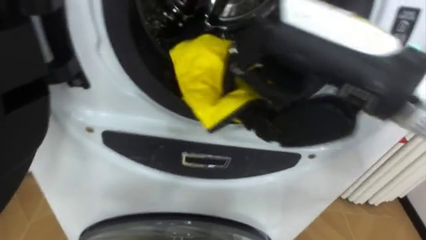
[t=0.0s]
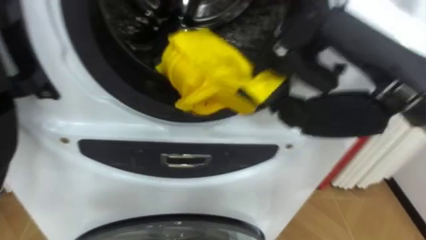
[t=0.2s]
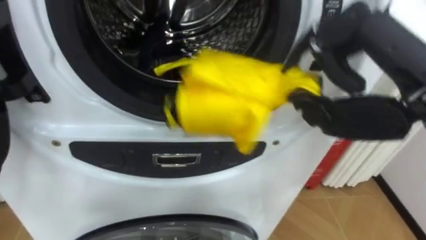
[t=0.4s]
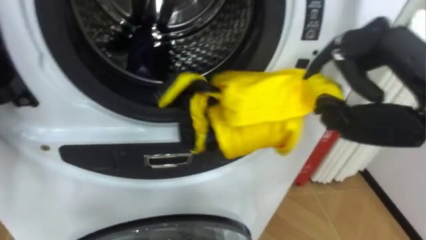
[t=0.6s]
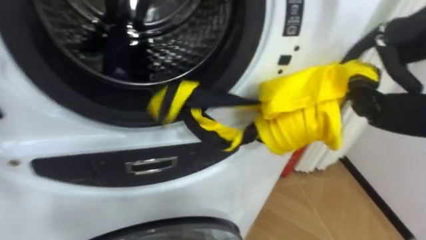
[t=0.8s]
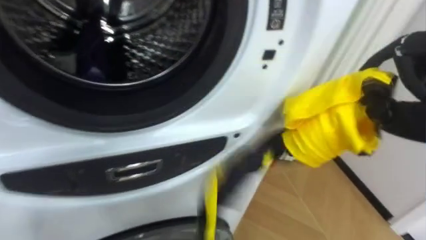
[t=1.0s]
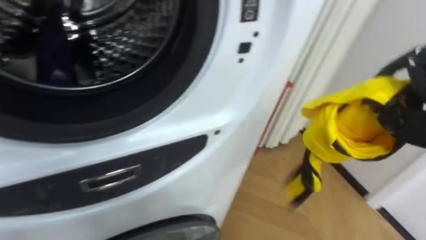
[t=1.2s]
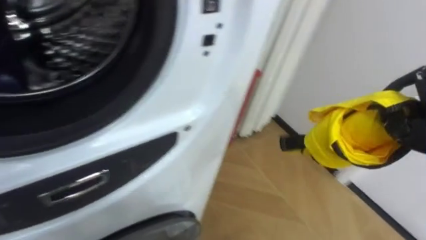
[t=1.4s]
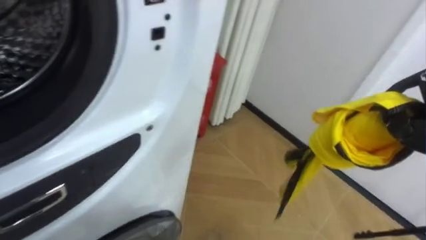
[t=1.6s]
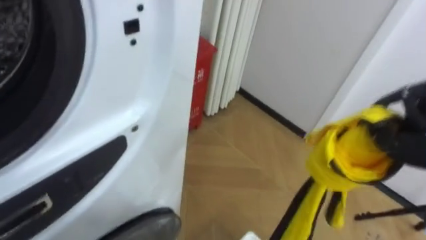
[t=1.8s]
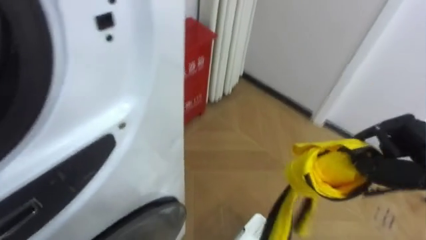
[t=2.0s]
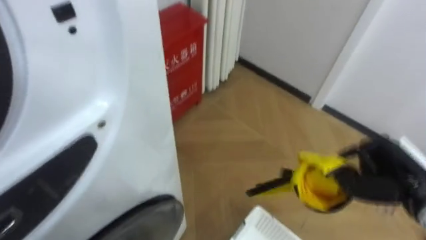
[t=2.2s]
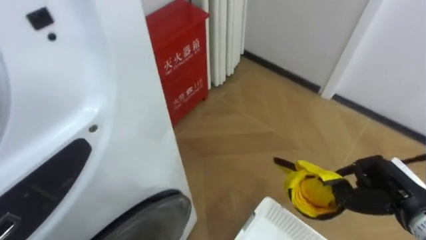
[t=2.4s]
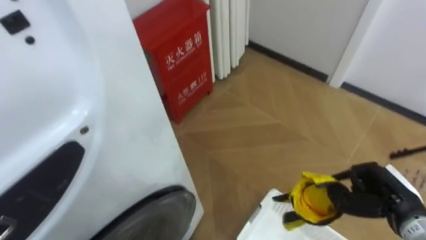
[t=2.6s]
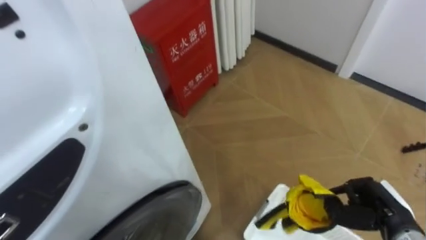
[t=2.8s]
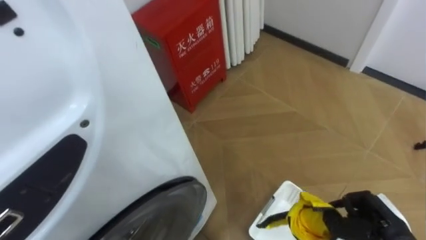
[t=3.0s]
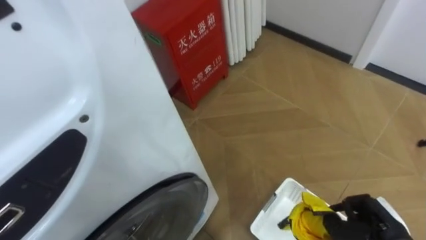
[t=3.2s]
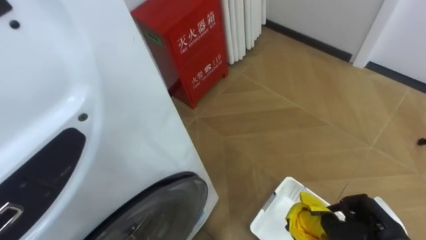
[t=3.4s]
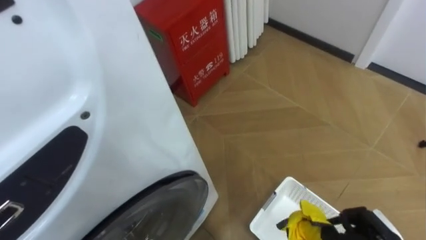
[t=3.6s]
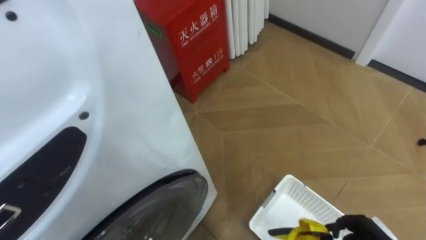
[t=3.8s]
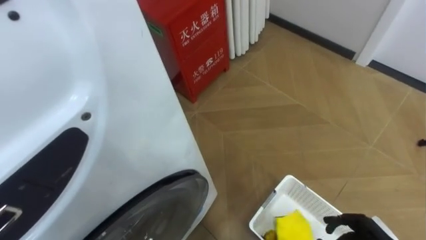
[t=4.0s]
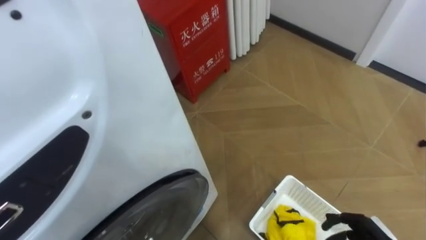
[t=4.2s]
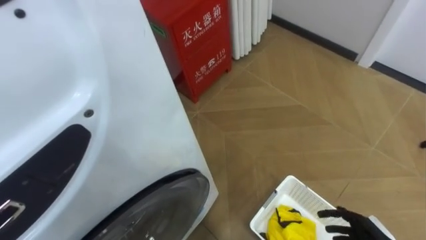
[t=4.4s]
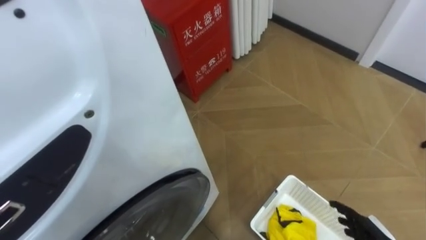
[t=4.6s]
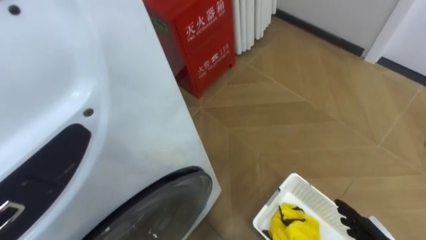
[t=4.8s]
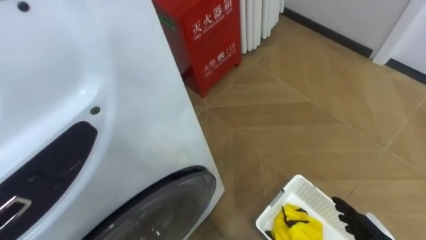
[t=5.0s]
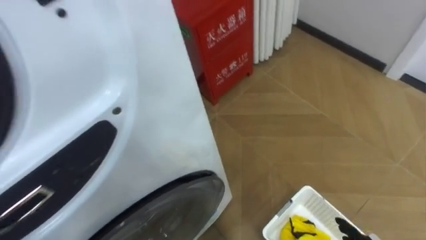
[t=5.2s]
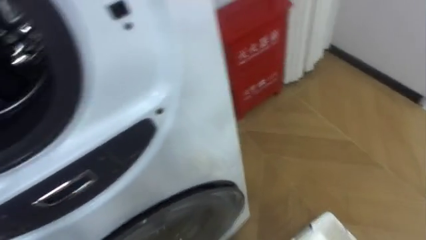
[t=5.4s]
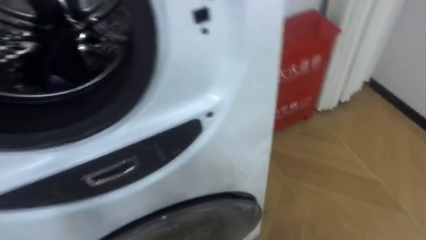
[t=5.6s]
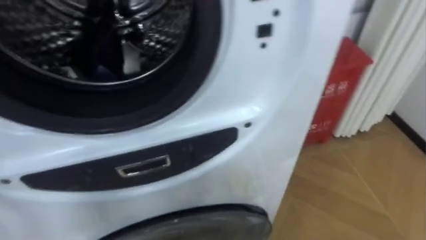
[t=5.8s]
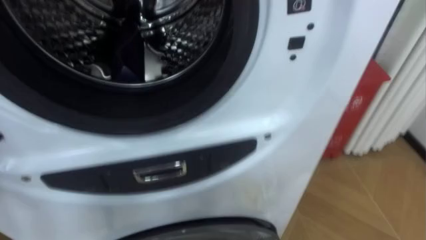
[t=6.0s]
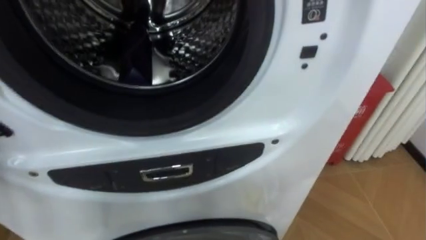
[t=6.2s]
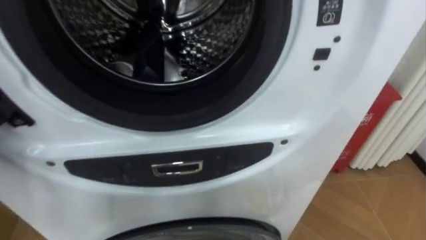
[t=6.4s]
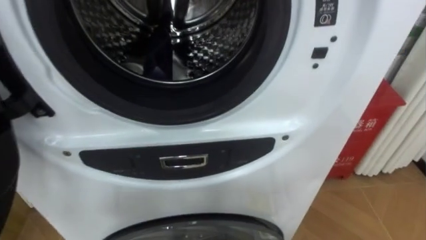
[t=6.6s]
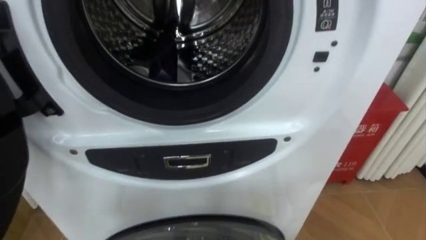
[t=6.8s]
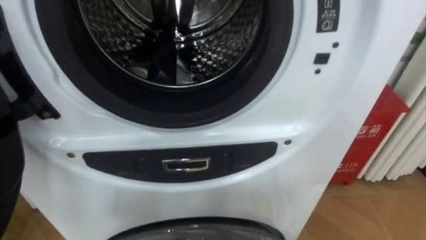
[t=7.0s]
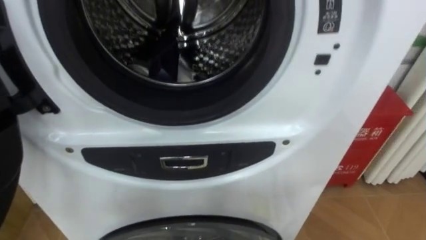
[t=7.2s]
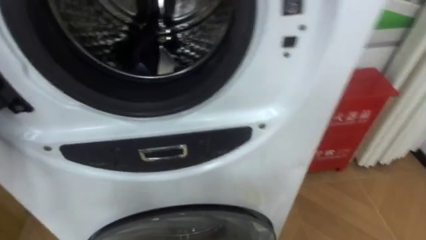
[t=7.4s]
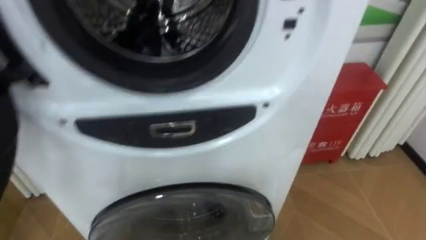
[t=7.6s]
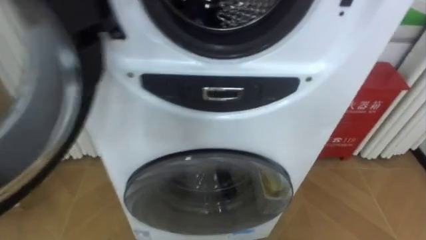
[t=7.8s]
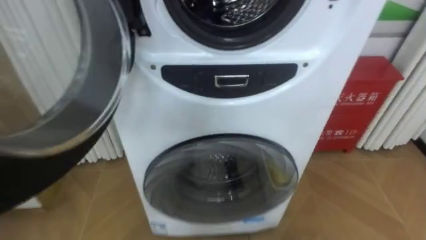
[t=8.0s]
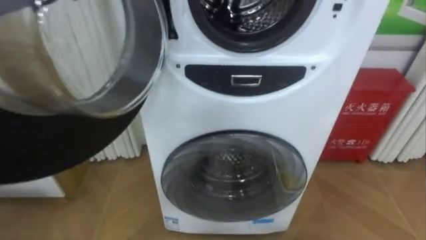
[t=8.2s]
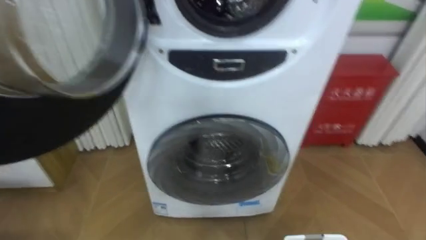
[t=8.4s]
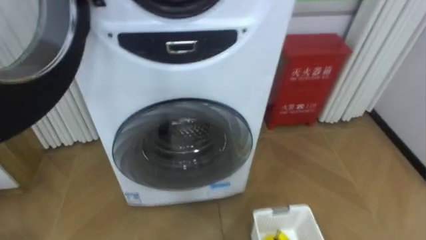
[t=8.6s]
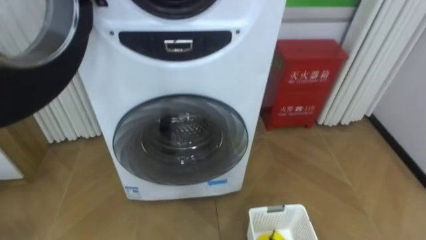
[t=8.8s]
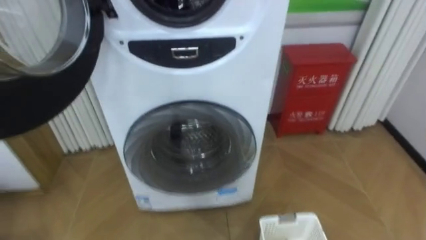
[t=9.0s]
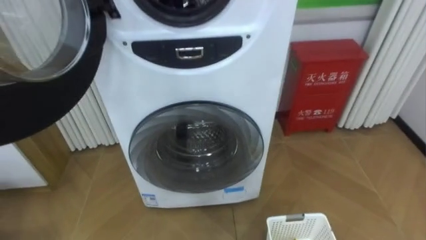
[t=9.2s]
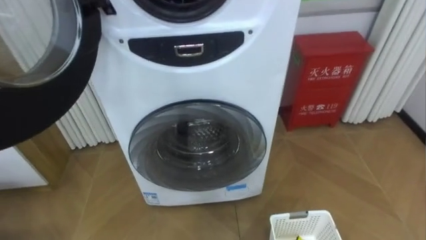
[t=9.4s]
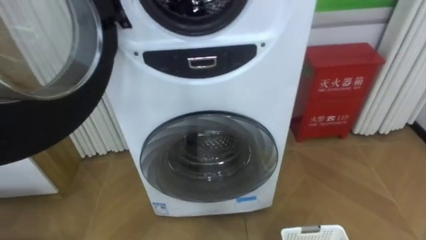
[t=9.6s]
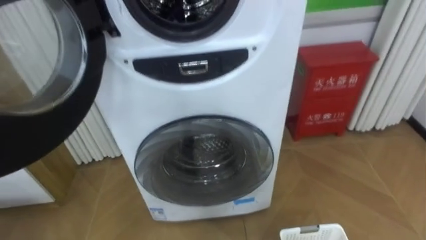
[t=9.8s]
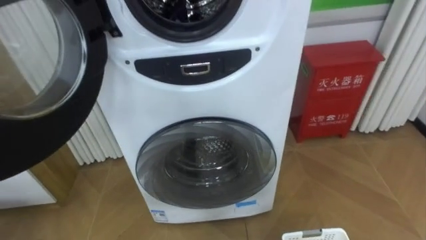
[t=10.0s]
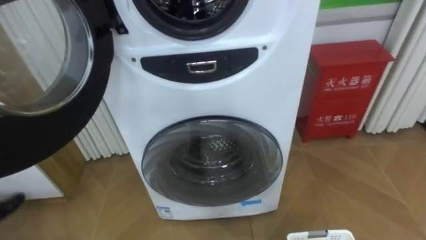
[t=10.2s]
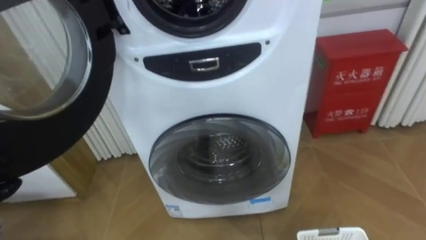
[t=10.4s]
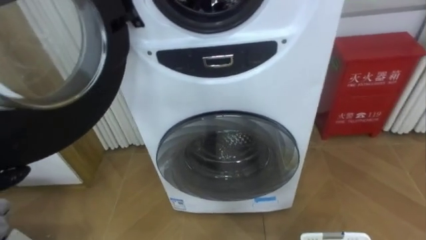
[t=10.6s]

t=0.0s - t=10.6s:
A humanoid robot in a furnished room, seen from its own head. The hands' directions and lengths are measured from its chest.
Task of the whole recording: Open the washing machine door, take out the yellow clothes, place them in the box on the right, and close the washing machine door.
t=4.6s - t=6.0s: The robot rotates about 25 degrees to its left.

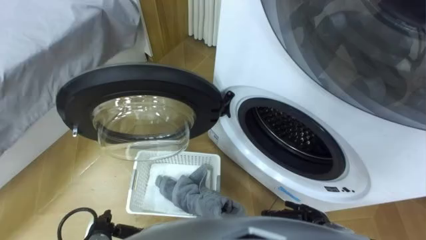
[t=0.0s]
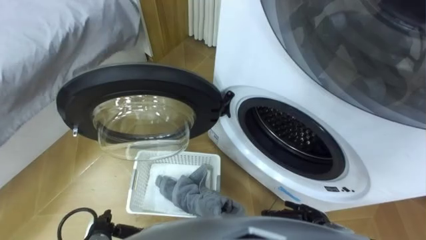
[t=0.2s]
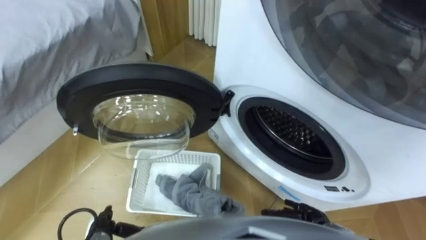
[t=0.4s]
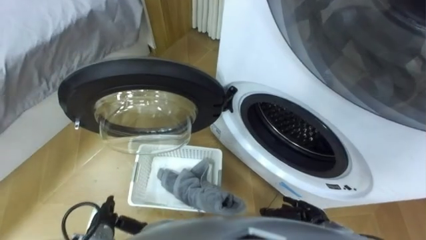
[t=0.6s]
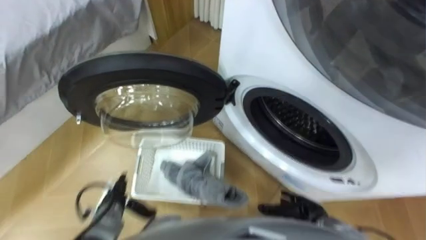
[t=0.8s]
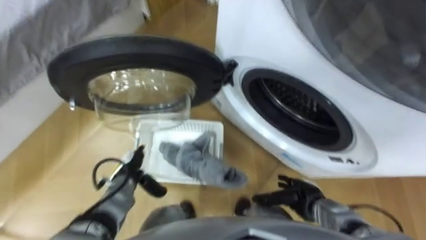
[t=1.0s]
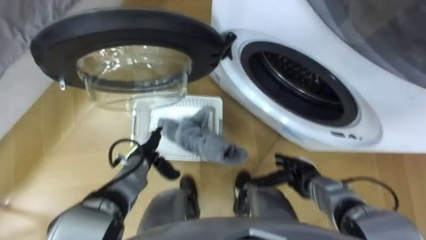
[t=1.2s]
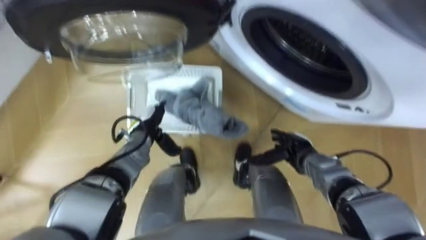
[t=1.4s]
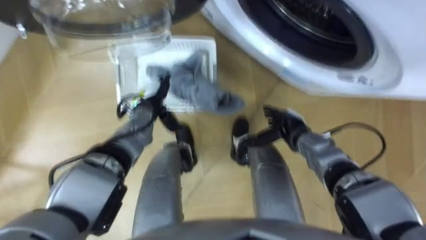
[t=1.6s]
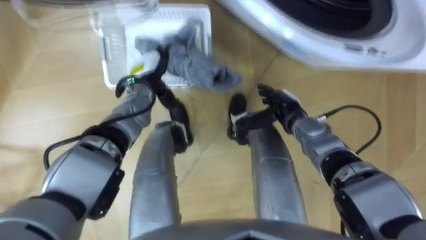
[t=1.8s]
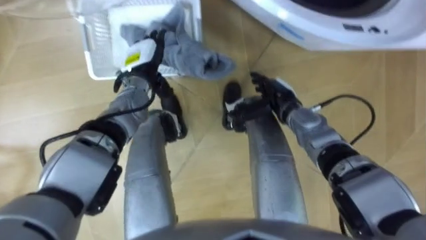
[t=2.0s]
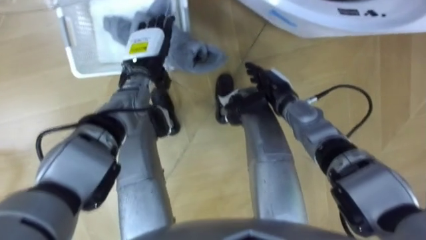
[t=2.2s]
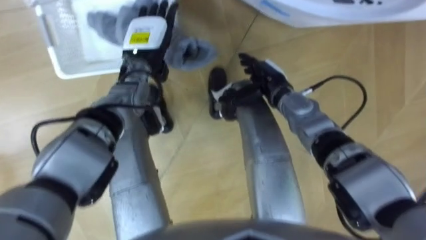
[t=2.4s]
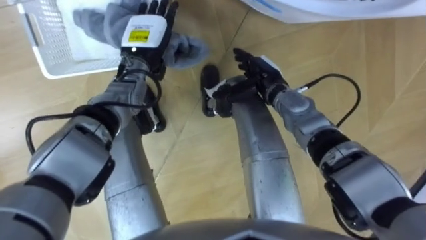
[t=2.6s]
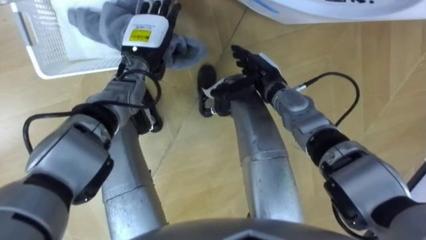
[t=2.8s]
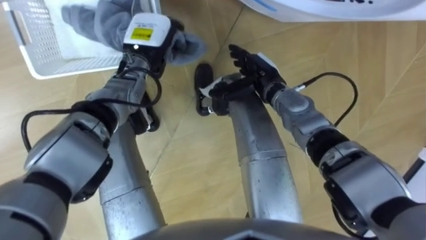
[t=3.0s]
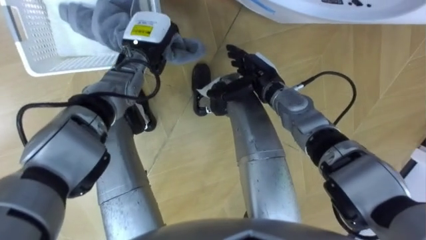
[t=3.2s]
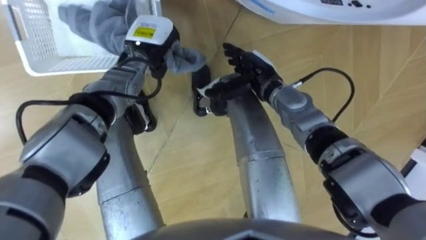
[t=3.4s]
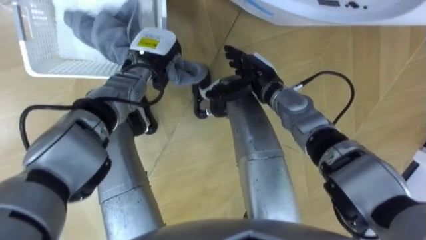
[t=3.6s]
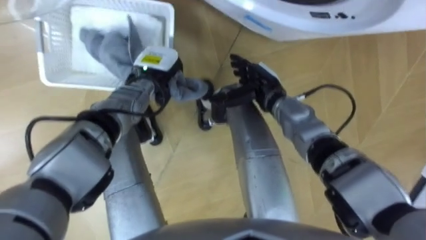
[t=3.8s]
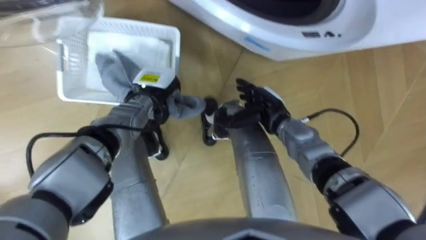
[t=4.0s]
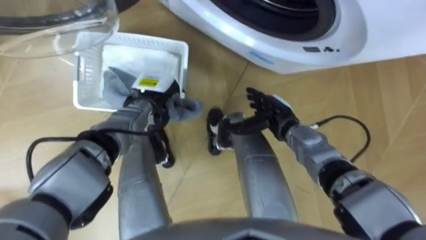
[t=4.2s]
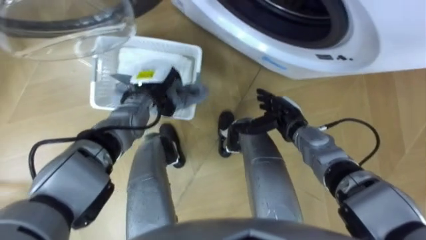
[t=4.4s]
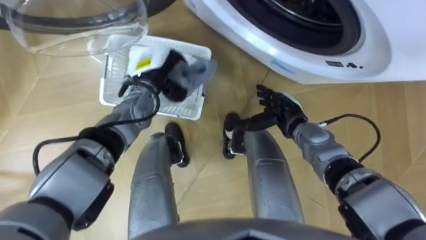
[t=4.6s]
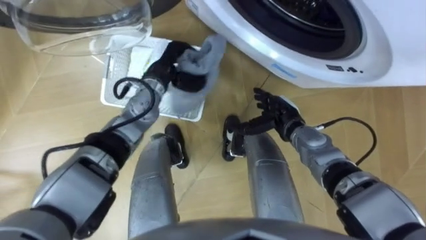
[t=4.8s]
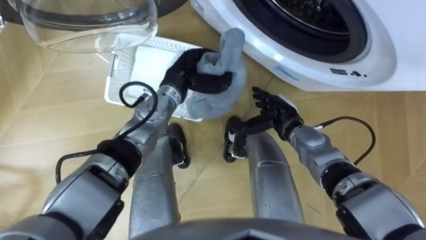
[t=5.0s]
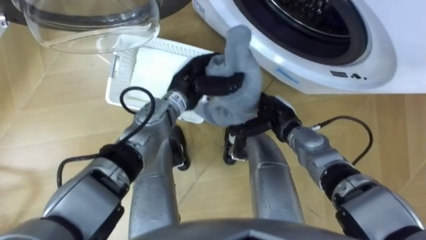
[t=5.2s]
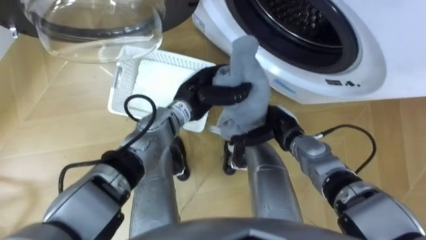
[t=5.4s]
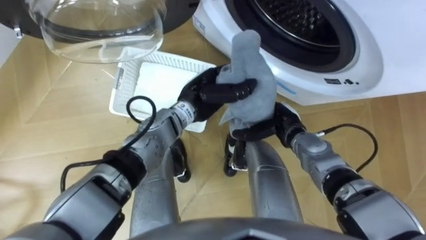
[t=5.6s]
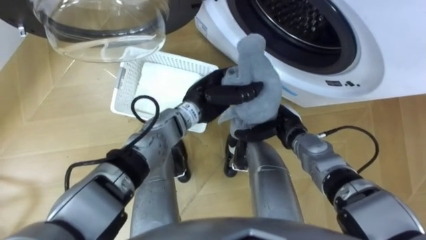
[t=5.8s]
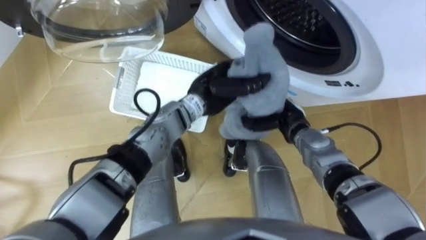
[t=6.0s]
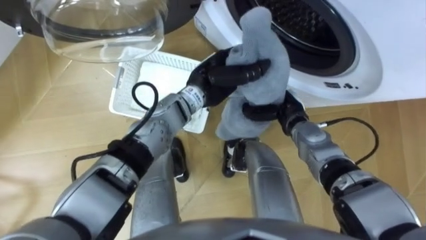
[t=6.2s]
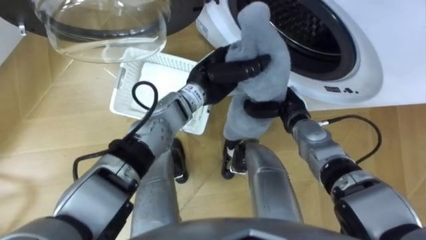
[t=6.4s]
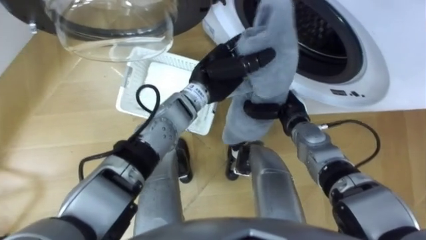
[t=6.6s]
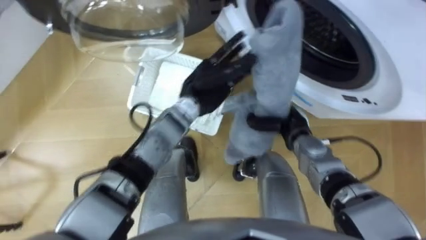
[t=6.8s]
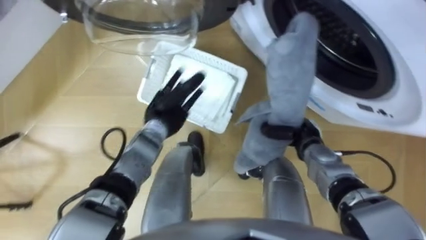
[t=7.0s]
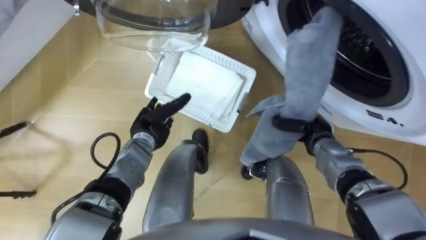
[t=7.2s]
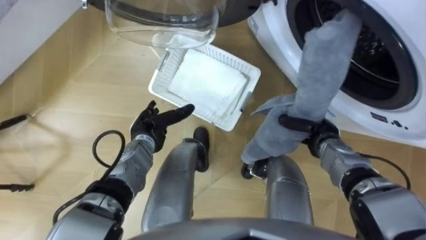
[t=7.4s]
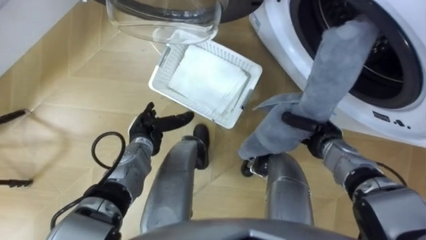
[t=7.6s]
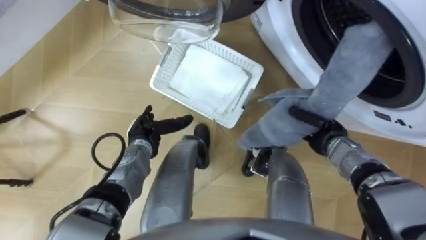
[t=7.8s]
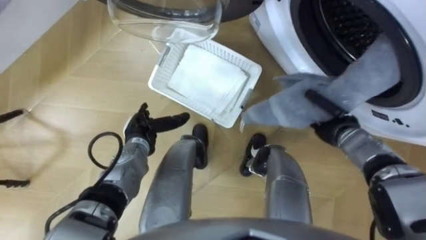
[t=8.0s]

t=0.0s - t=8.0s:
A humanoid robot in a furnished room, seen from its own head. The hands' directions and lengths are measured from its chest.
Task of the whole recording: Take the towel from the basket and put it into the washing machine.
t=1.6s - t=3.2s: The right hand goes about 15 cm upward, forward and to the left. The left hand moves upward and forward, some 15 cm, and closes its fingers.
t=3.2s - t=4.8s: The right hand heads downward, to the right and backward, covering approximately 10 cm.
t=4.8s - t=6.4s: The right hand closes. Meanwhile the left hand is displaced to the right by roughly 10 cm.
t=6.4s - t=8.0s: The left hand shifts roughly 25 cm to the left, downward and backward, and opens. Meanwhile the right hand moves to the right, about 10 cm.
